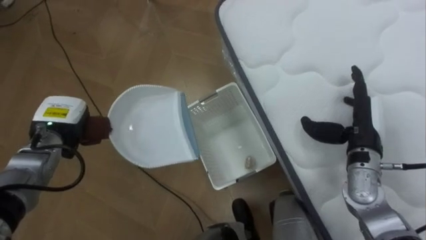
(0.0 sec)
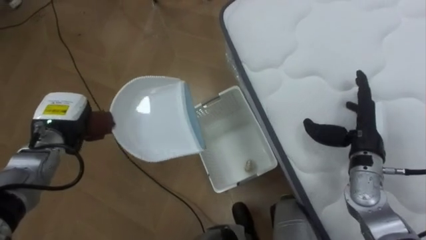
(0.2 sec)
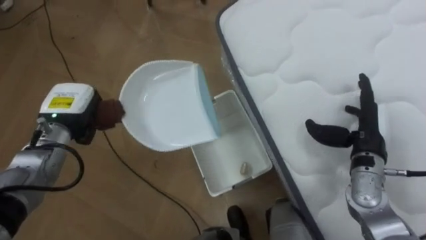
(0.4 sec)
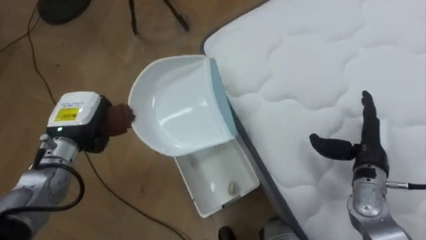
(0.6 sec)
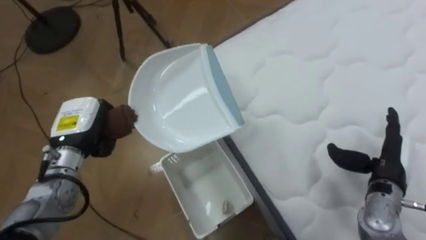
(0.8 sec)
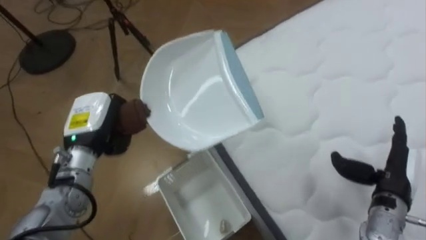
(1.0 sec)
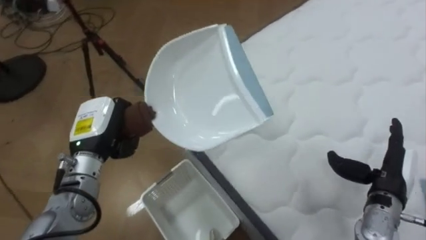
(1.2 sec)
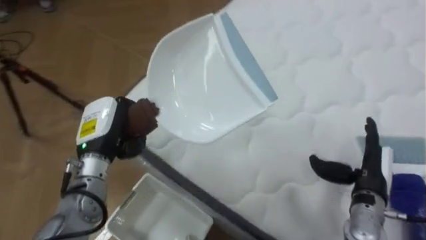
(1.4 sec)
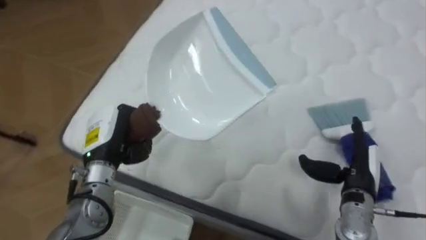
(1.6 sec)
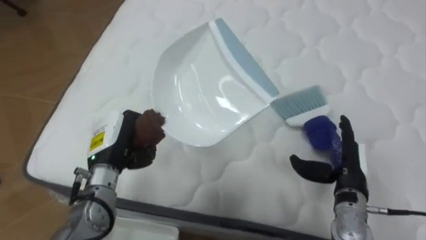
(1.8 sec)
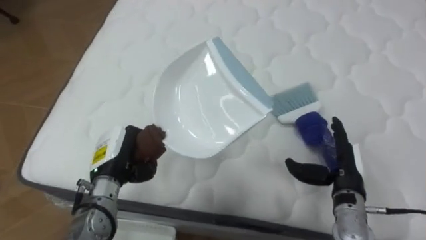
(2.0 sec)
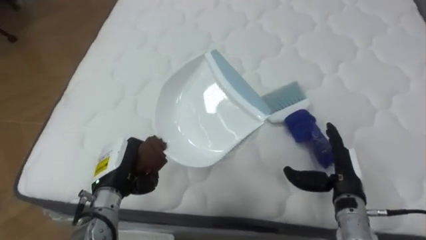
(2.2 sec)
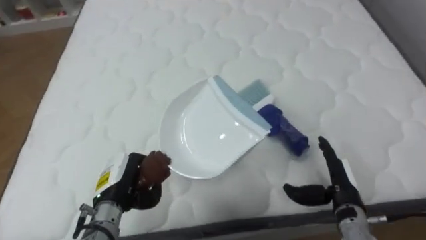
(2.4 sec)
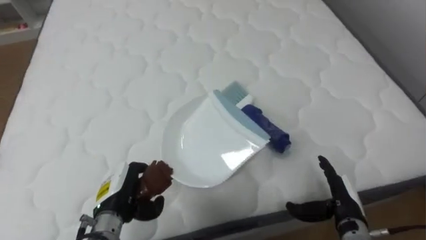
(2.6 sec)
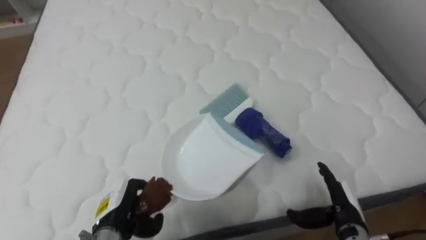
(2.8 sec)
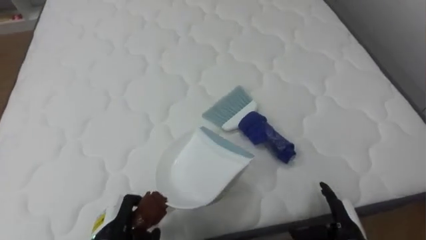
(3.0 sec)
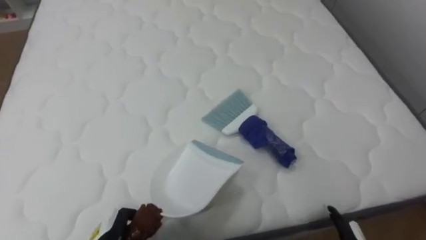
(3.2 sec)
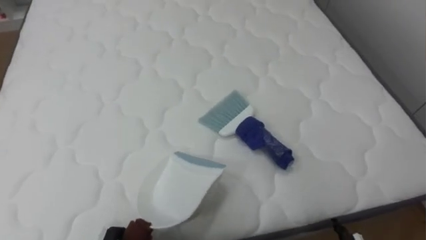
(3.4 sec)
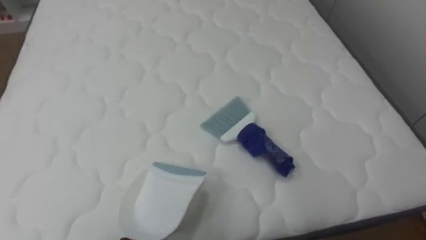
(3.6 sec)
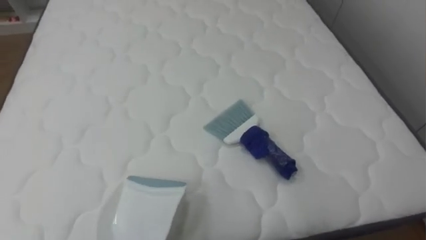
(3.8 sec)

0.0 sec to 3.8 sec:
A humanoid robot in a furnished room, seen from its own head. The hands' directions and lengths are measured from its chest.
Task of the whole recording: Pick up the brush on your right and the dustpan on your left. Use the brush to sweep the crumpled paper on the bed into the dustpan, then turn left and empty it into the basket.
0.0 sec to 1.2 sec: The robot faces about 30 degrees further to its right. The left hand shifts about 10 cm to the right, while the right hand goes roughly 10 cm backward and downward.
1.2 sec to 2.6 sec: The robot's body swings about 70 degrees to its right. The right hand shifts approximately 10 cm downward and to the left. The left hand is displaced downward and backward by roughly 15 cm.

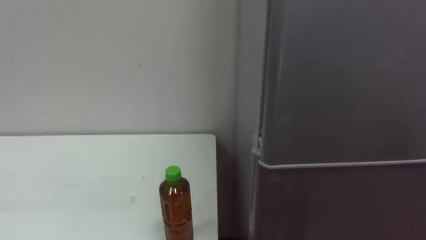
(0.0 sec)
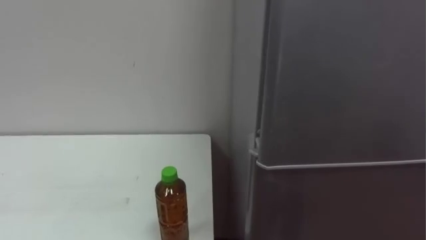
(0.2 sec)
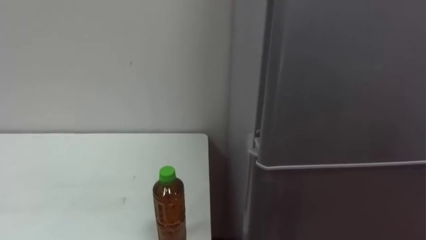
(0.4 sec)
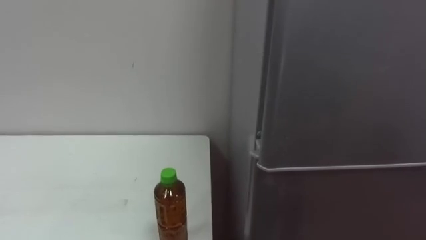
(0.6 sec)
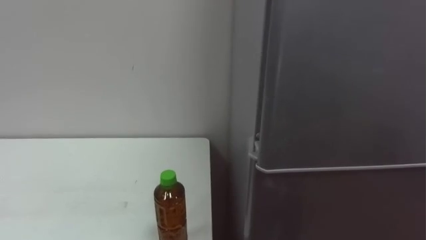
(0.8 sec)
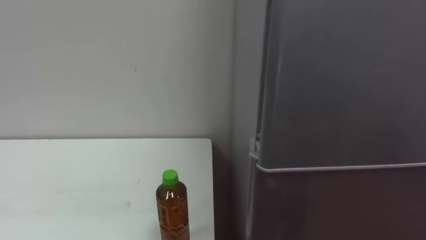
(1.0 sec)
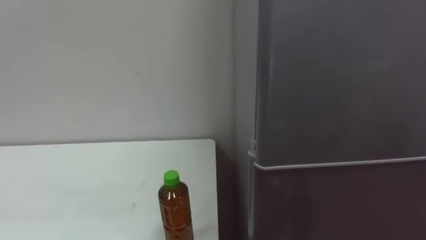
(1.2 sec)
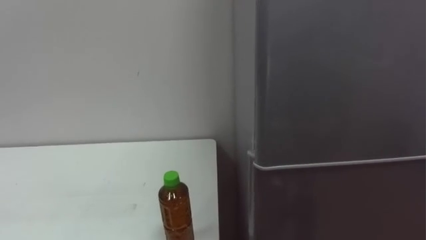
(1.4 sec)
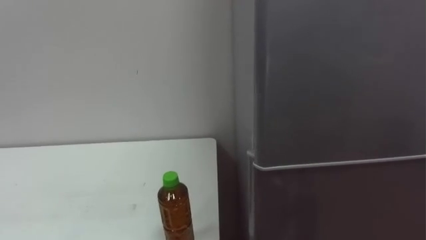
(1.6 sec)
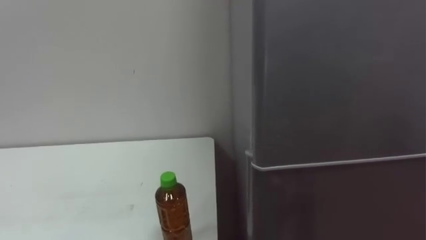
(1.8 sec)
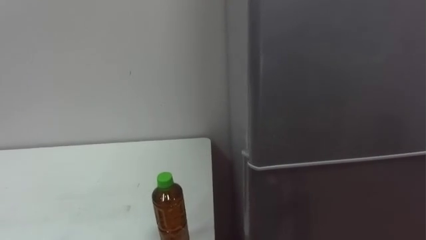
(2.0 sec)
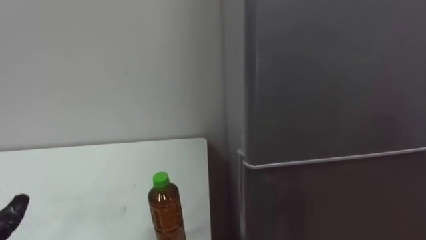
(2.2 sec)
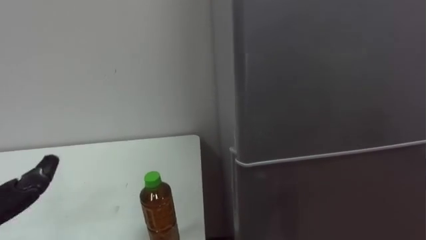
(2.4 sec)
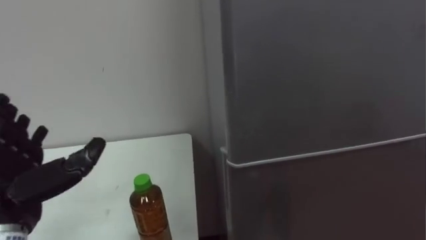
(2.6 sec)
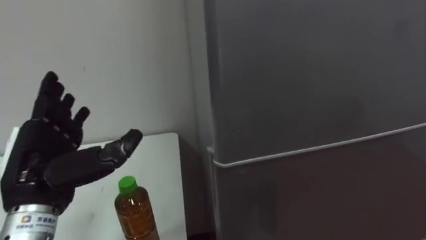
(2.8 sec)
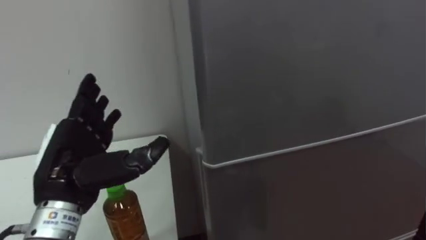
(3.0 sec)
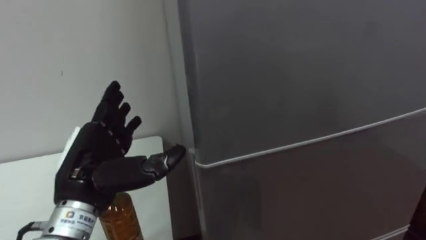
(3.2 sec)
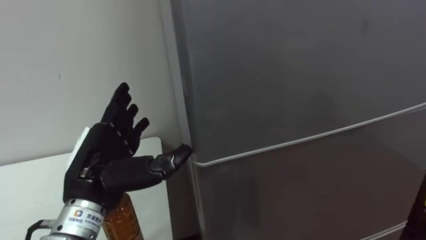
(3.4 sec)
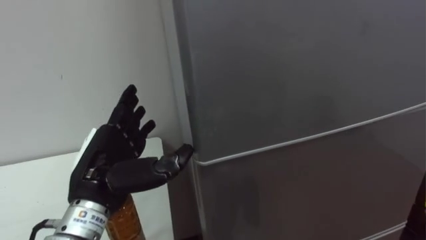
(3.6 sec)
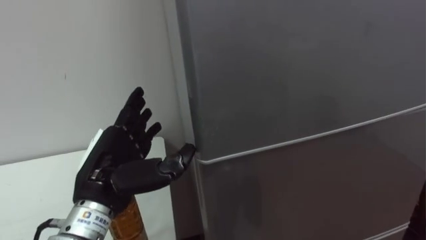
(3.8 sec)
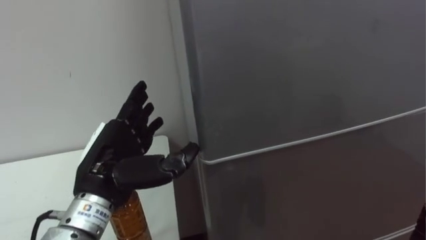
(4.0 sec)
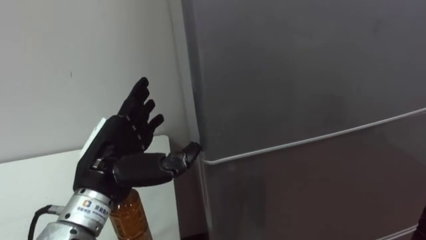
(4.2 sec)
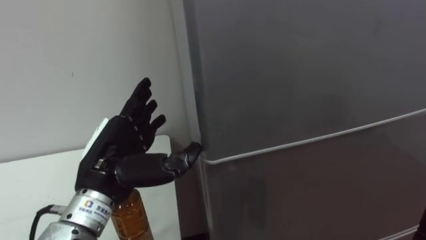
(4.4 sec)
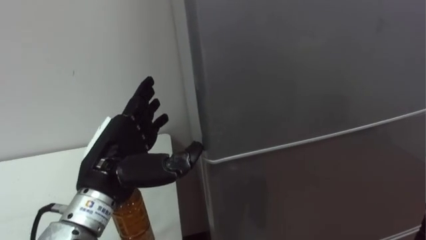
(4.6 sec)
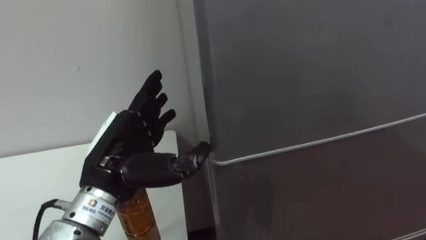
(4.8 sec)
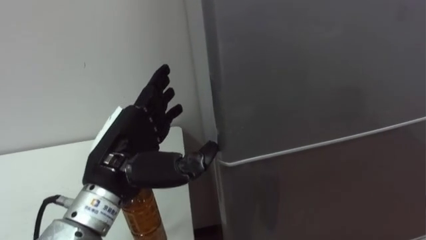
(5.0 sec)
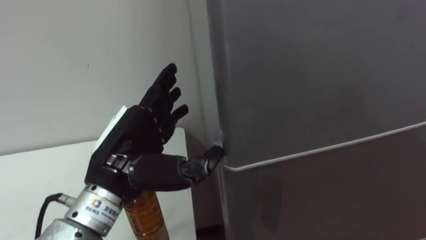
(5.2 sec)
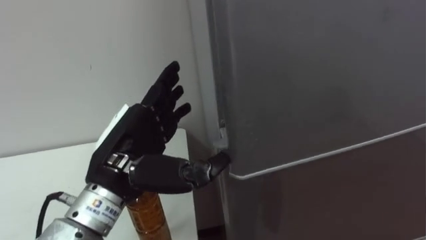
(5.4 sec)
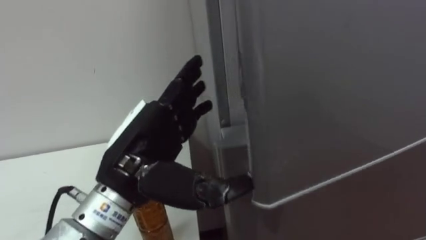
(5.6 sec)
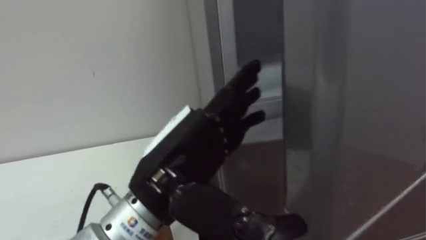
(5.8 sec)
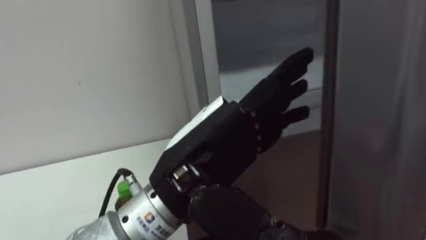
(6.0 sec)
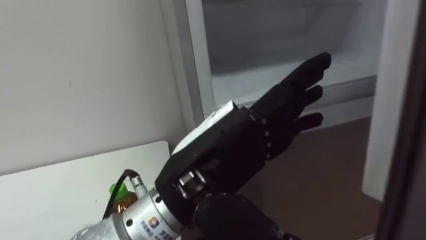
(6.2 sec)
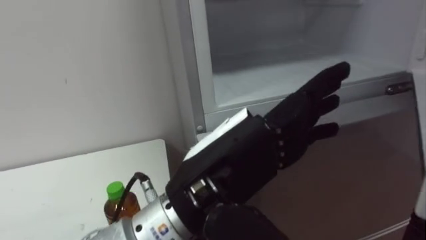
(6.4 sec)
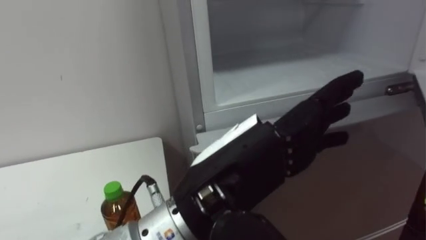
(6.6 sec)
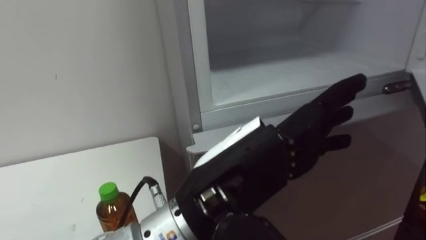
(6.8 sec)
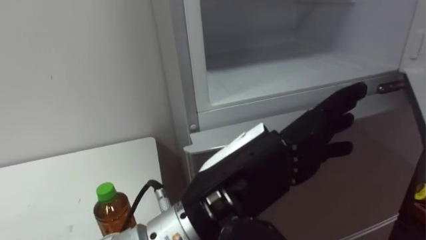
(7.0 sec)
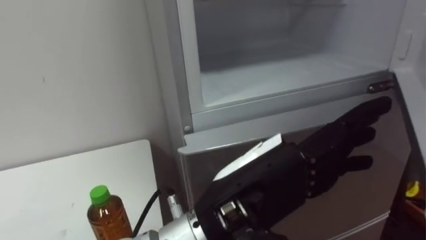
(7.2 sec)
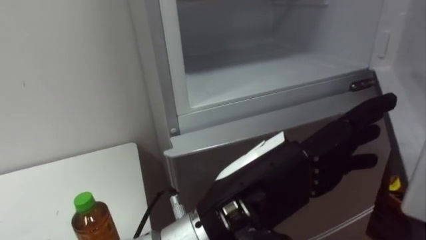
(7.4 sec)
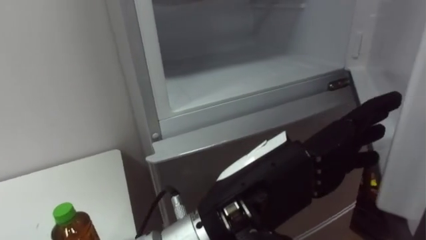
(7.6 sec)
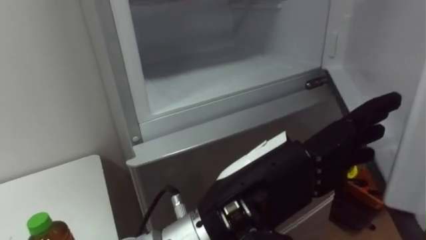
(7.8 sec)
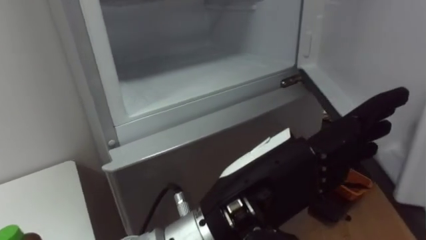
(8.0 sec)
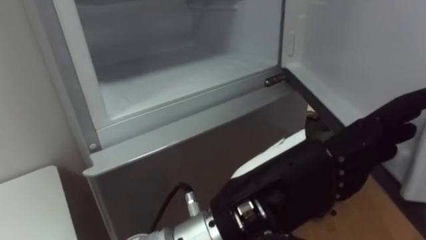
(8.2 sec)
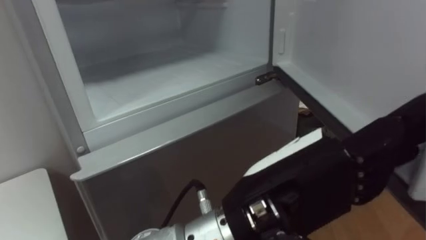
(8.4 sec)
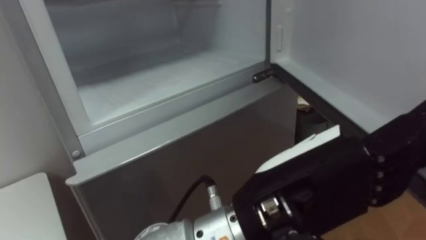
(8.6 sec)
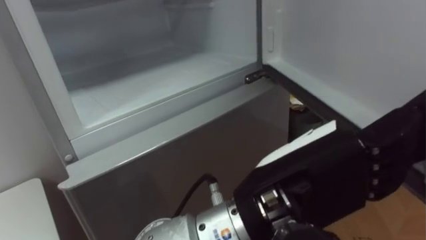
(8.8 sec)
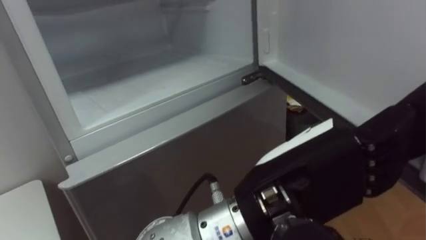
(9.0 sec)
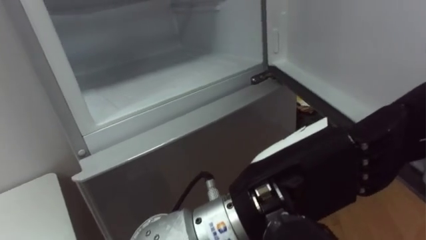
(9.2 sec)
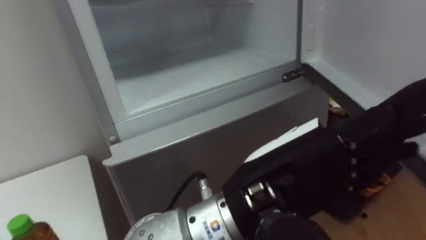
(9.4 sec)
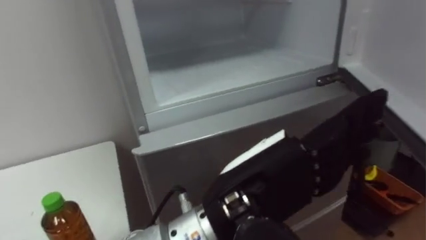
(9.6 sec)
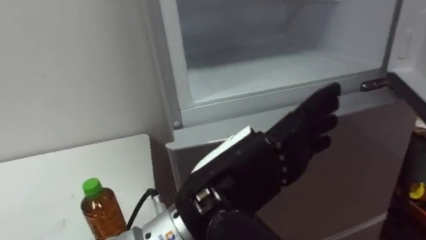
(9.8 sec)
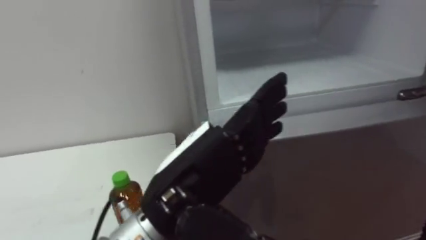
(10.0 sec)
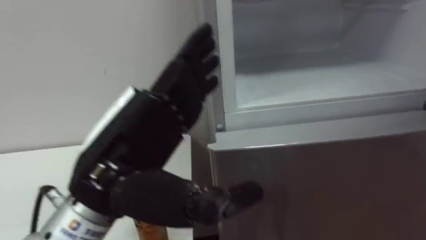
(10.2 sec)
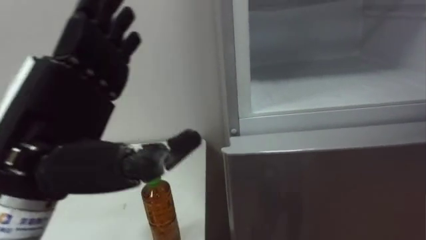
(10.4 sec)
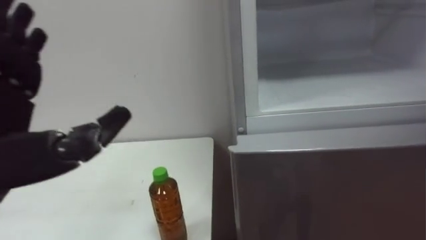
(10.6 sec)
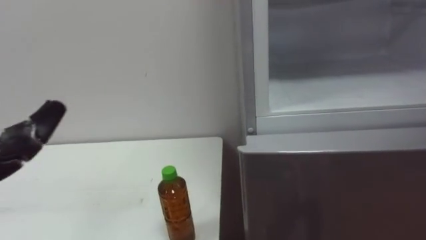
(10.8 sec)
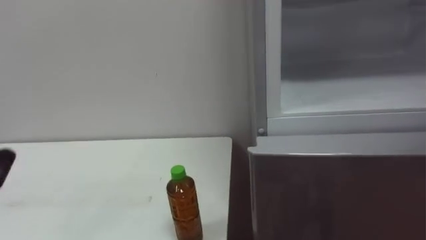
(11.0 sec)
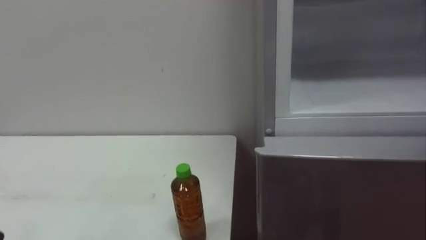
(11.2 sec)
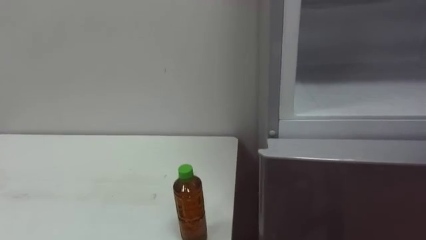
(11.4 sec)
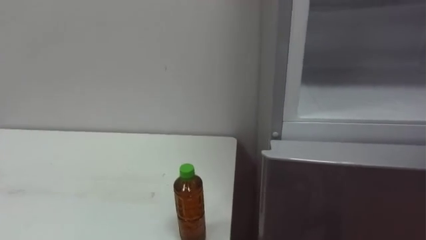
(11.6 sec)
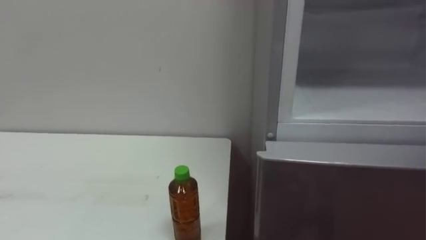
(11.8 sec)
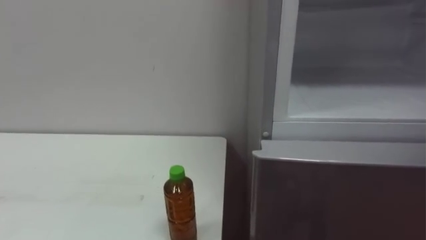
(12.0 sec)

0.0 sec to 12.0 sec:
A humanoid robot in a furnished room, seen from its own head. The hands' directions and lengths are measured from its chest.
Task of the whole recording: Open the upper refrigerator door, put the drink from the table into the refrigerator, and then close the refrigerator door.
3.0 sec to 4.4 sec: The left hand heads to the right, covering roughly 5 cm.
4.4 sec to 6.0 sec: The left hand heads to the right, backward and upward, covering approximately 15 cm.
6.0 sec to 7.6 sec: The left hand goes some 5 cm to the right.
9.0 sec to 10.4 sec: The left hand shifts some 20 cm to the left.

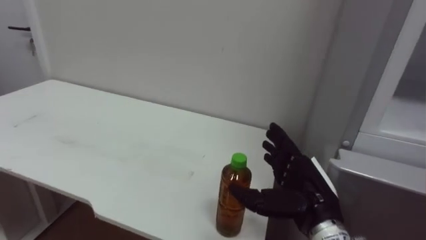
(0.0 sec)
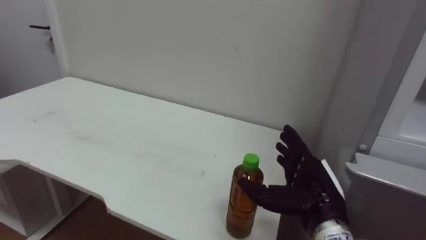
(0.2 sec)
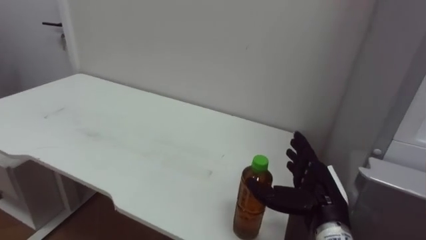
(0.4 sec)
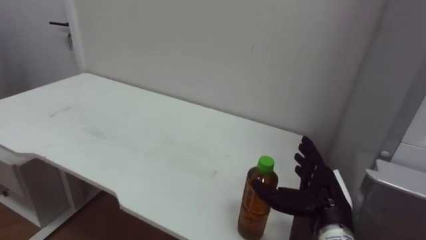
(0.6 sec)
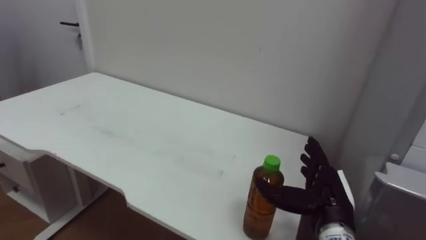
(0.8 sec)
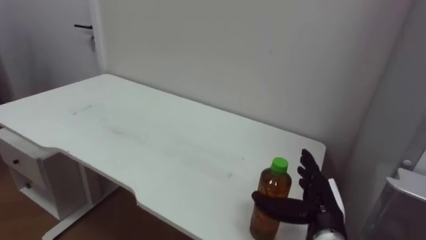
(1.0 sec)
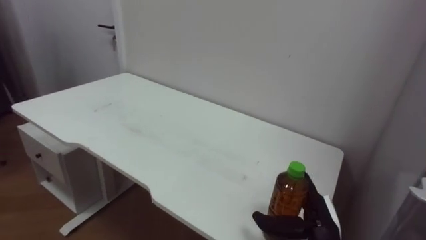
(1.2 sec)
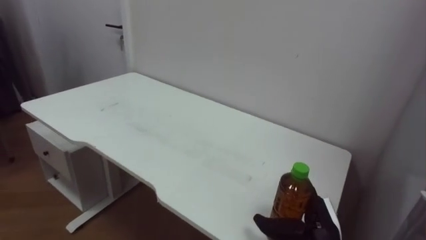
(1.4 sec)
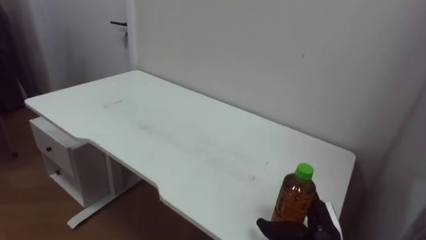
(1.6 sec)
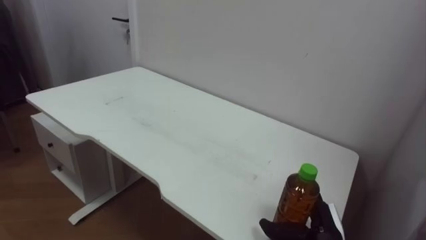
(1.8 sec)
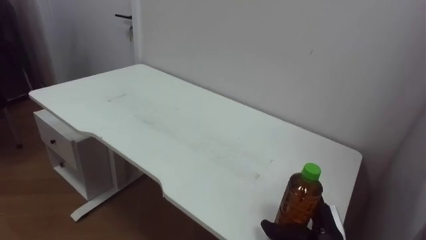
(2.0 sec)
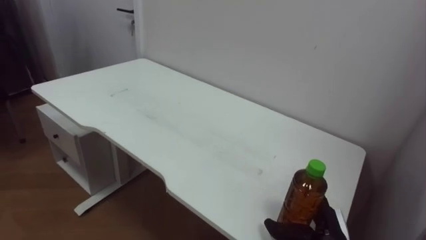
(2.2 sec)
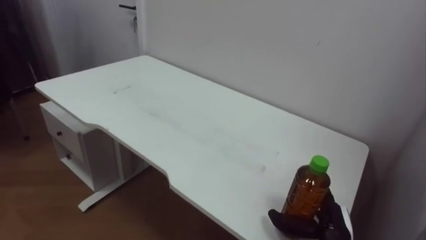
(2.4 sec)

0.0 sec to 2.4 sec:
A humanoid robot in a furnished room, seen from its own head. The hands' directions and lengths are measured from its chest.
Task of the whole recording: Open the upper refrigerator door, put the drink from the table into the refrigerator, and then close the refrigerator door.
0.0 sec to 1.2 sec: The right hand heads downward, covering roughly 10 cm.
